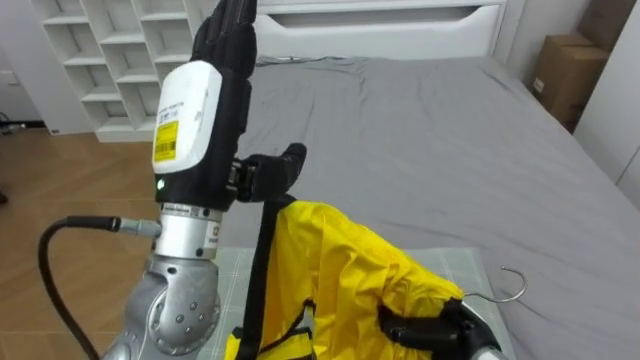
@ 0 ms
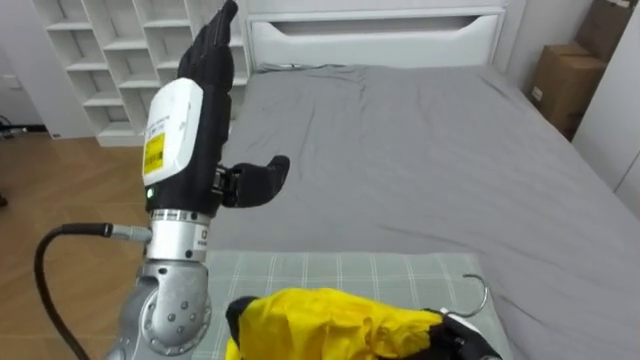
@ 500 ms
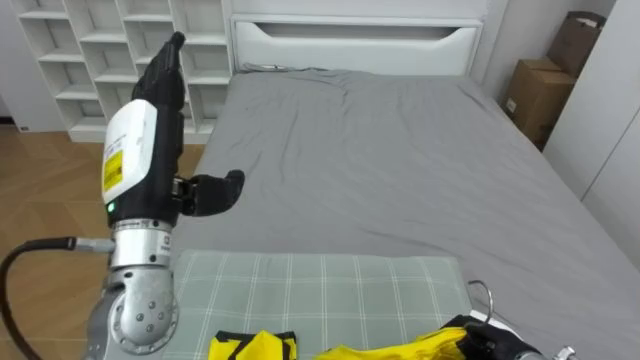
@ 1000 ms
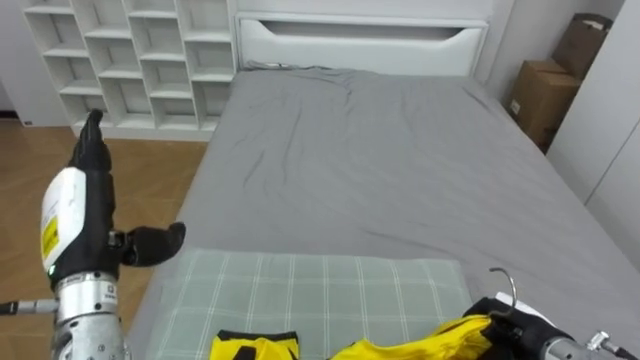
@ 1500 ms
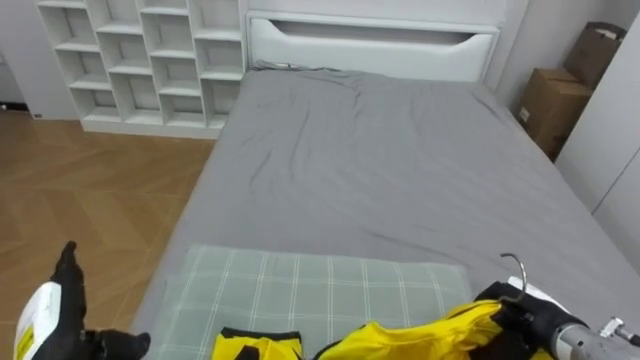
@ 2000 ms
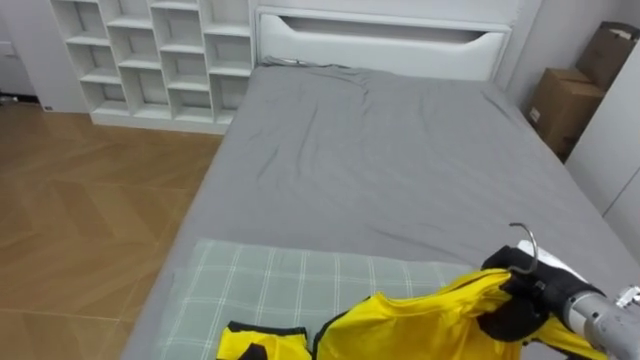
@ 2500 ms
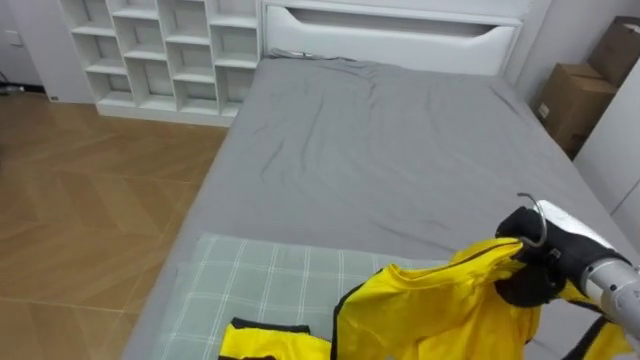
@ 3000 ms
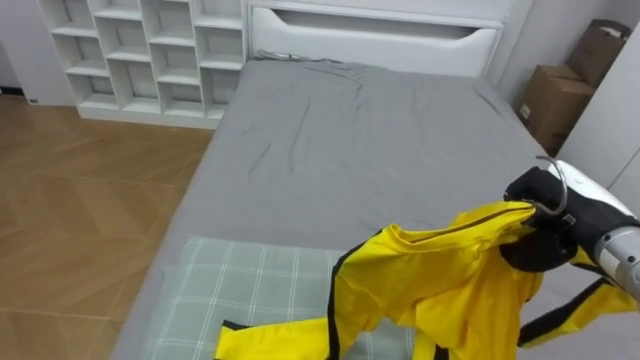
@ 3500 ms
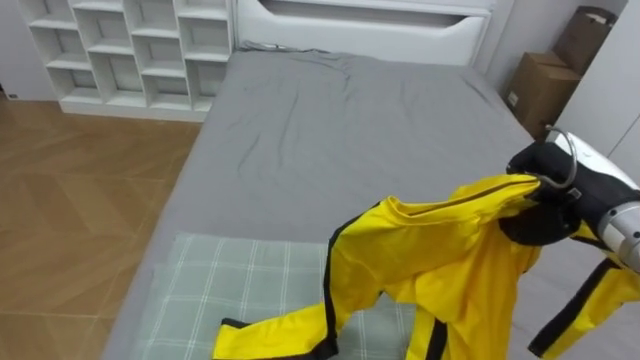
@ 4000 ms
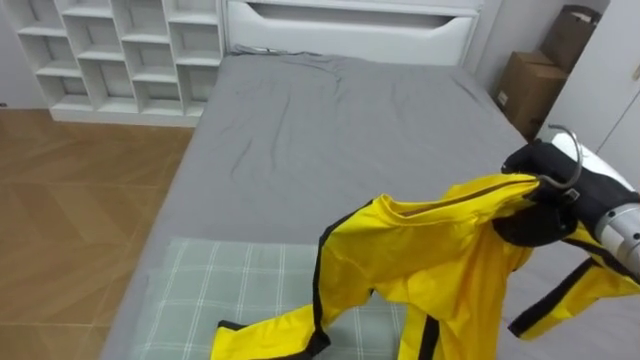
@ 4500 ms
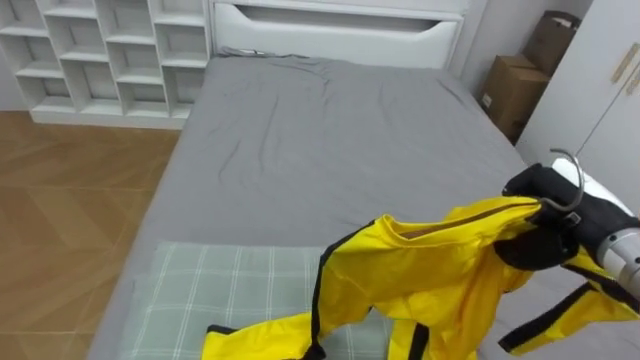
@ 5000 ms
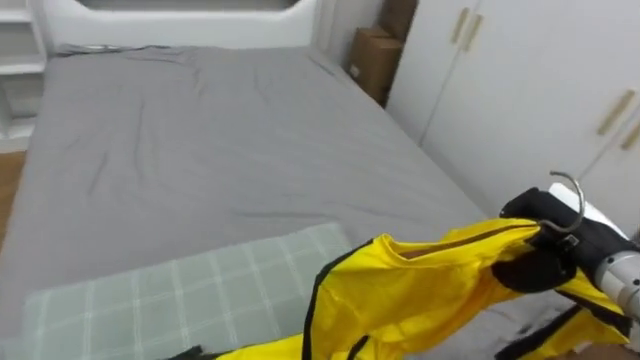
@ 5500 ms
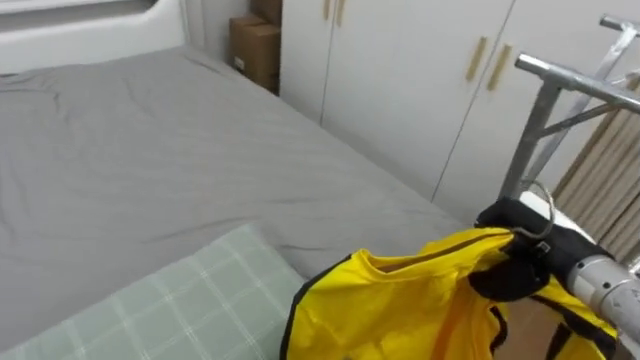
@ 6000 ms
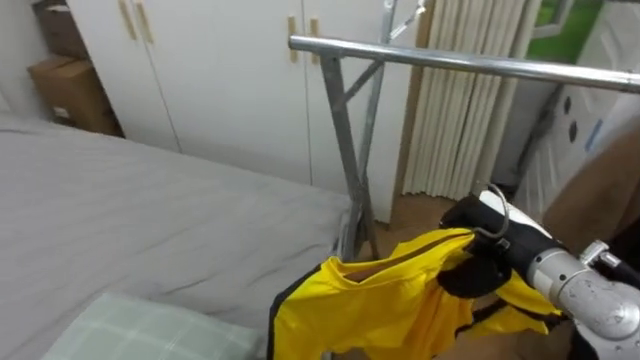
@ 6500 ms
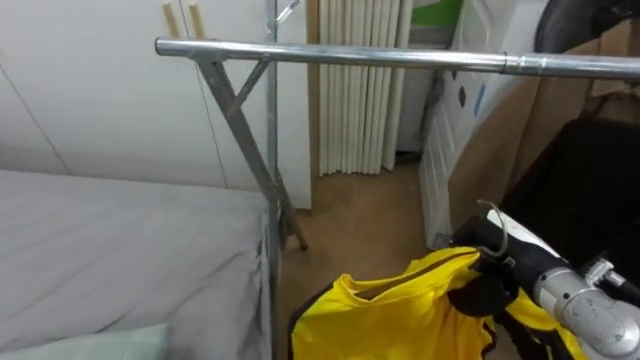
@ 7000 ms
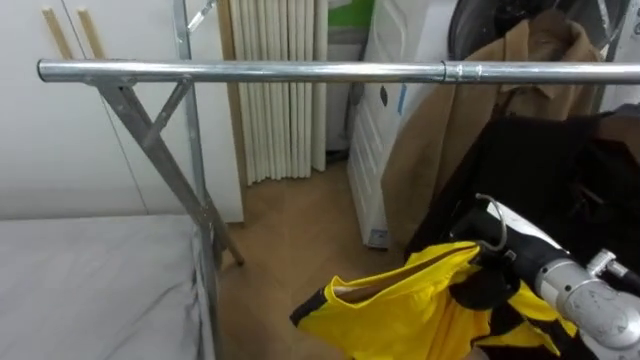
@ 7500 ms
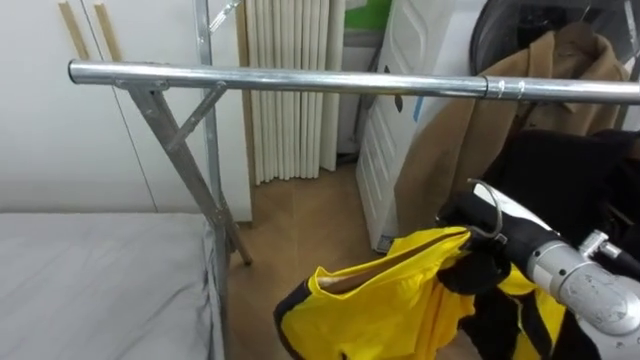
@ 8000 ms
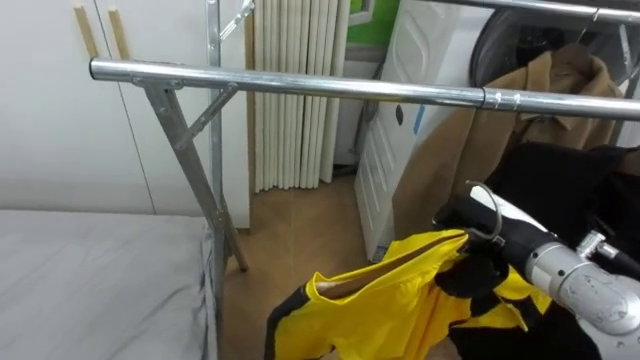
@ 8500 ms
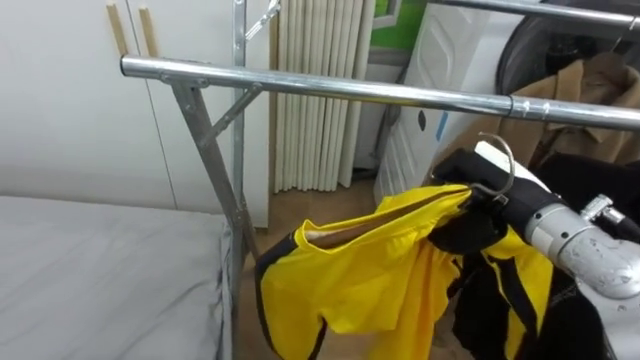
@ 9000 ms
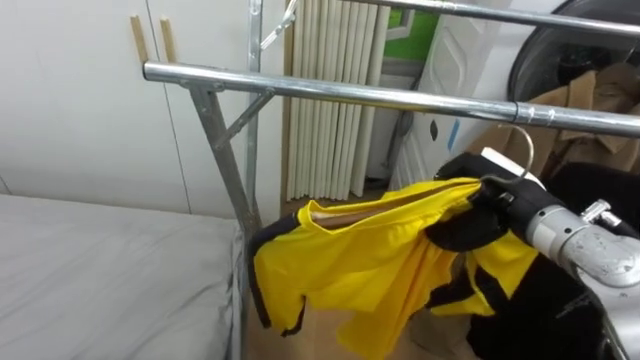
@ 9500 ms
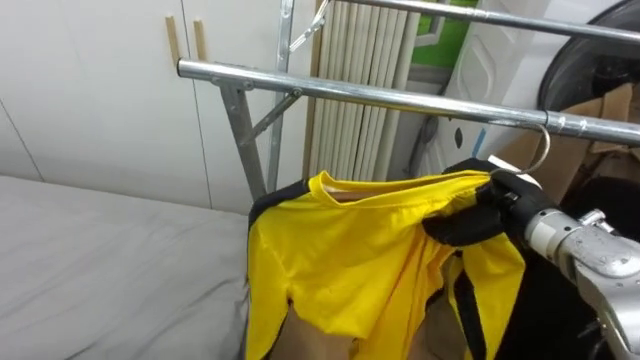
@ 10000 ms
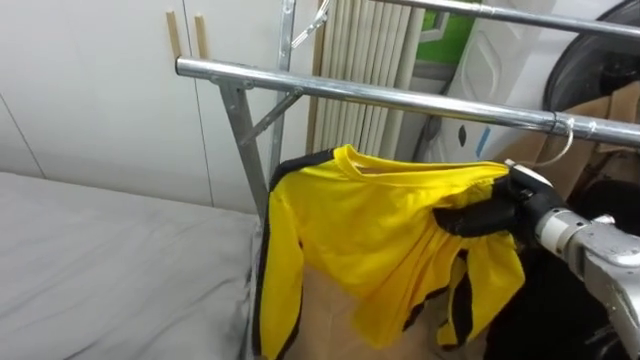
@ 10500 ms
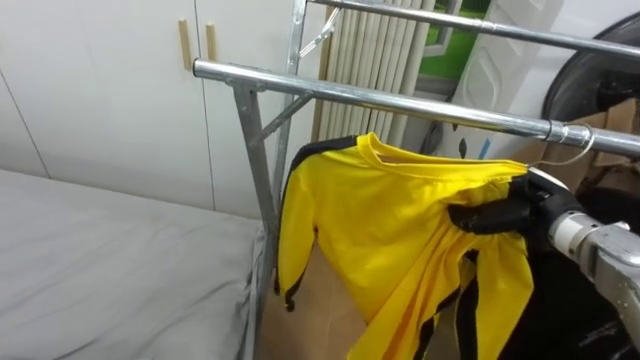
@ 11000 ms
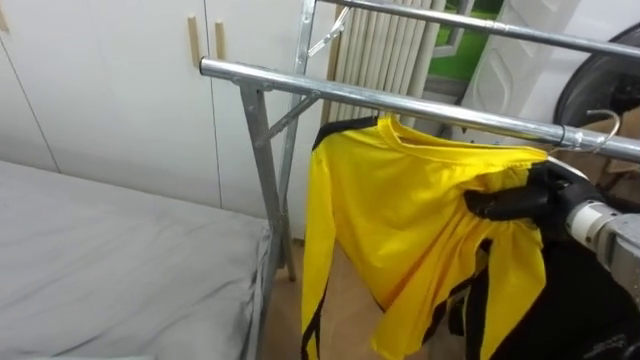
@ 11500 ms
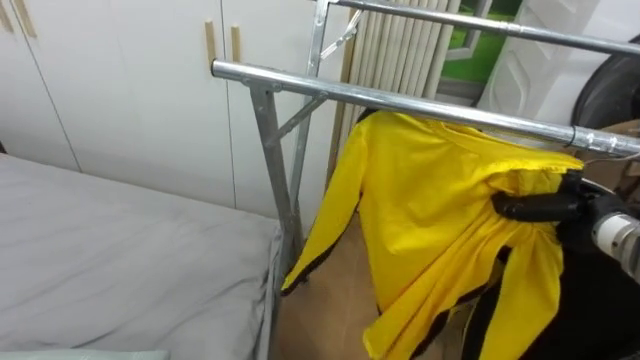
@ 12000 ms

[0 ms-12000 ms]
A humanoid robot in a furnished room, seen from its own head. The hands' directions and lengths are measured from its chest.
Task of the whole recording: Pick up the yellow shirt on the bed and hang it on the clothes rack on the right.
0 ms to 2000 ms: The left hand moves downward and to the left, approximately 30 cm. The right hand heads to the right, covering approximately 10 cm.
2000 ms to 4000 ms: The right hand travels upward by about 20 cm.
4000 ms to 6000 ms: The robot faces about 45 degrees further to its right. The right hand goes approximately 5 cm downward.
6000 ms to 8000 ms: The robot faces roughly 55 degrees further to its right.
10000 ms to 12000 ms: The right hand moves to the right, approximately 10 cm.

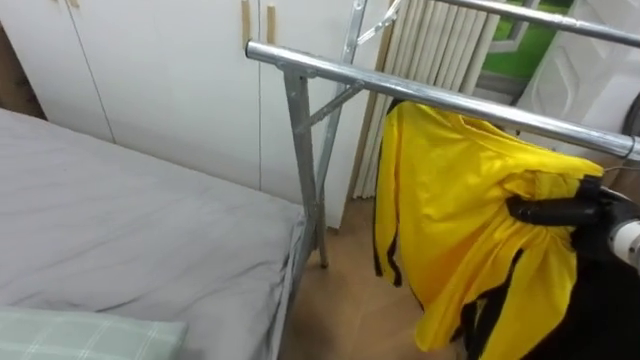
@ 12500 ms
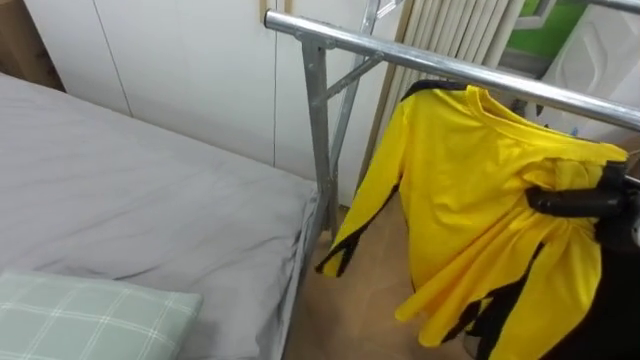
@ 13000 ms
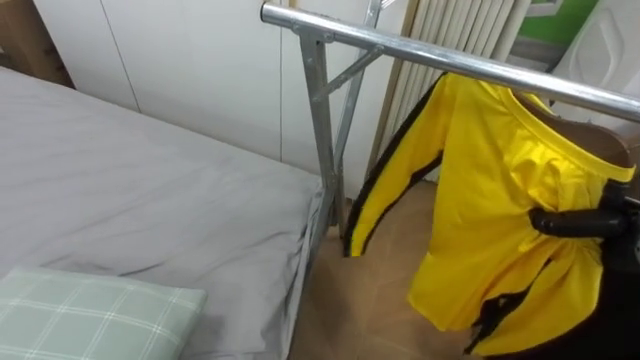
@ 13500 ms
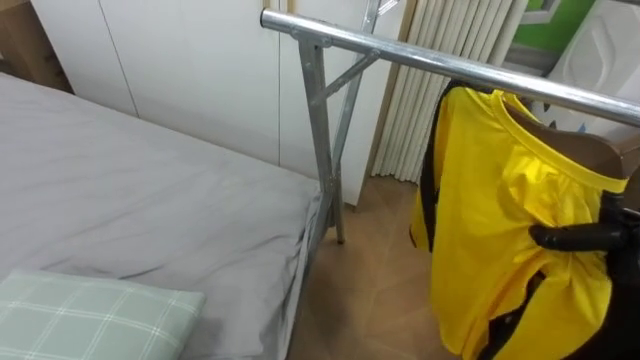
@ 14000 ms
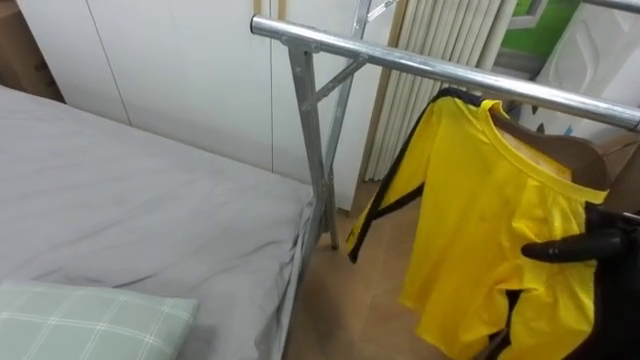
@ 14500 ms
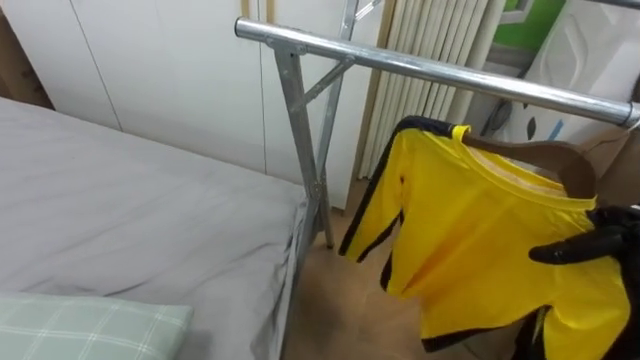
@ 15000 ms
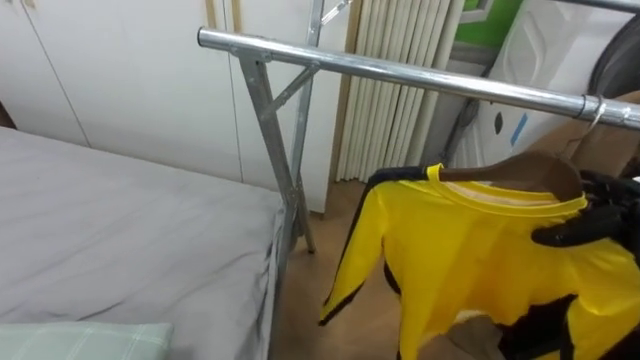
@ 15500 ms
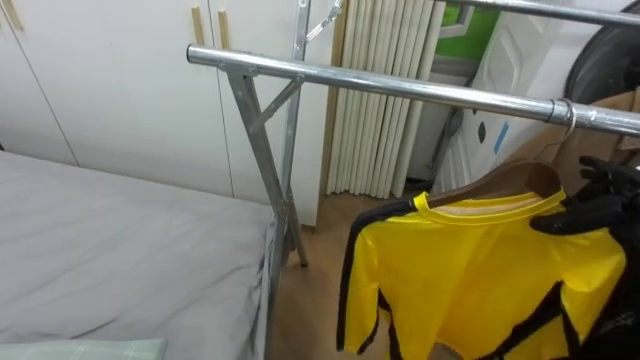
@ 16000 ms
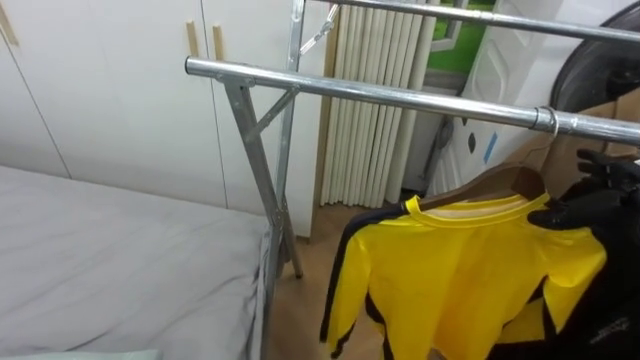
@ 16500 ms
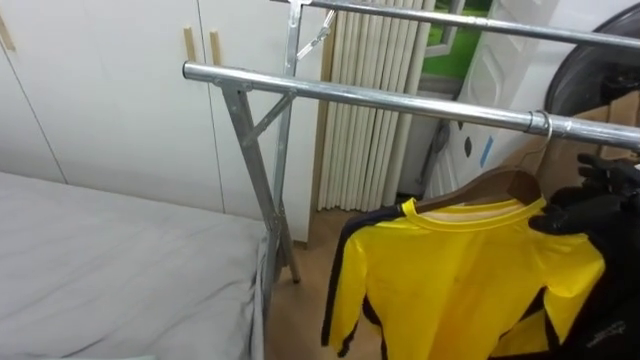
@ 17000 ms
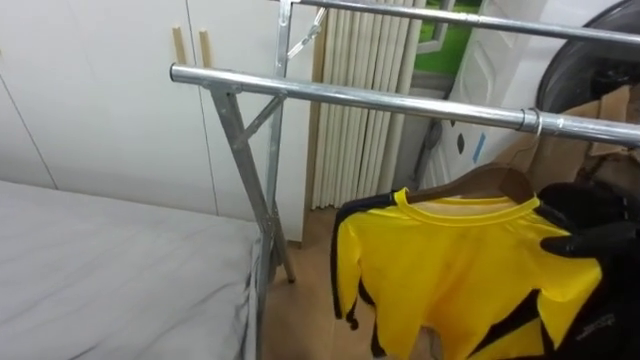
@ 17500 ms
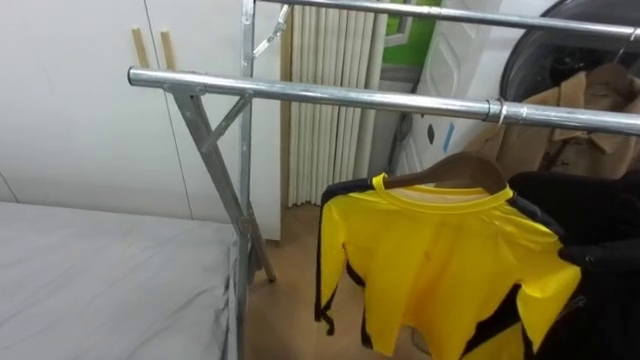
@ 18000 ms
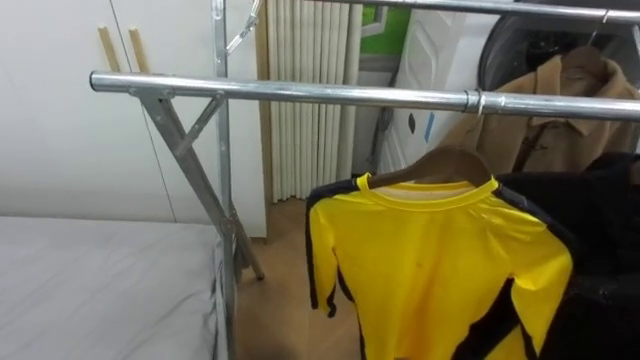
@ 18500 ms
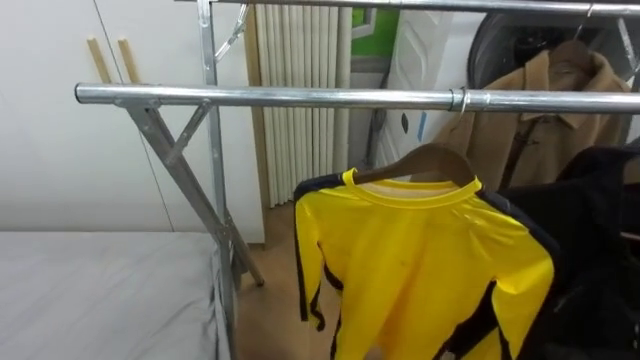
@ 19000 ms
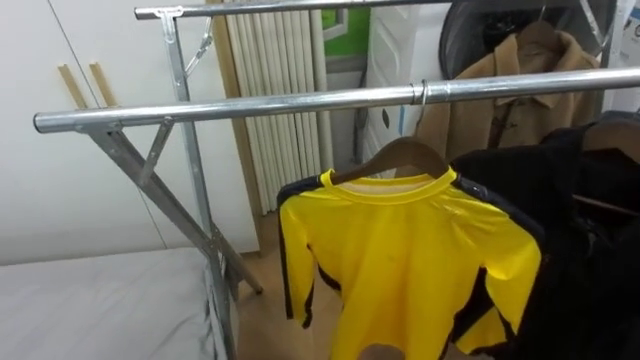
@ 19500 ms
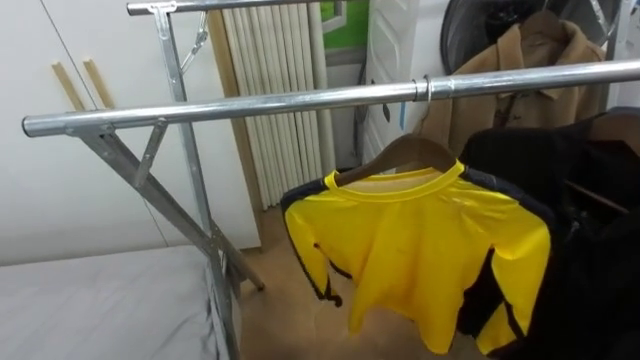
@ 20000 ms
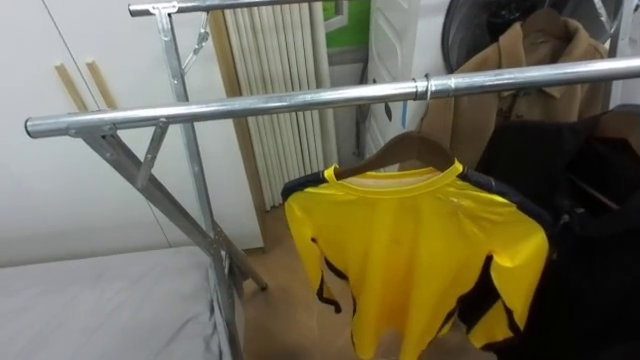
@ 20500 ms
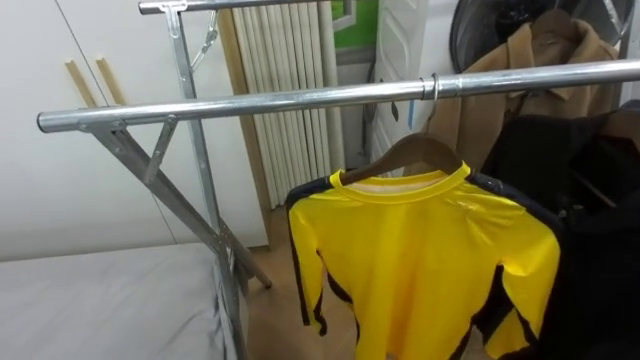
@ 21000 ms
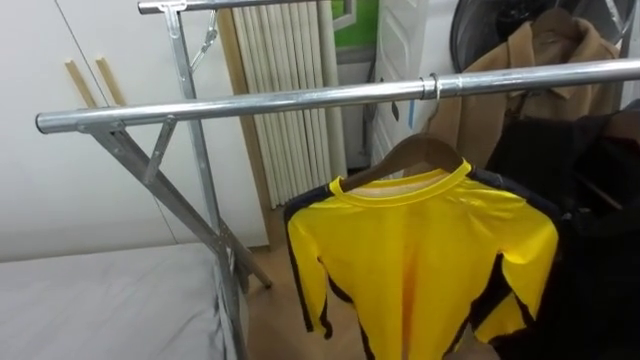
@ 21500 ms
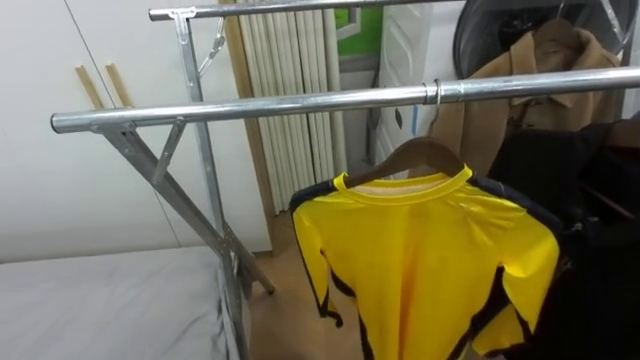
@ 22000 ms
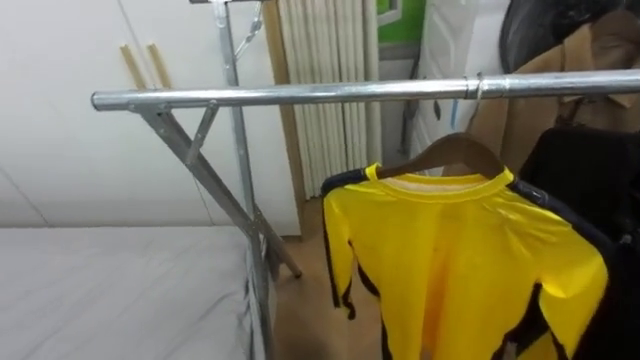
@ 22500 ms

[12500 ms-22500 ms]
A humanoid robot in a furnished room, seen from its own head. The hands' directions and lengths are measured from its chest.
Task of the whole recording: Pick up the yellow shirt on the bed and hang it on the clothes rack on the right.
12500 ms to 14500 ms: The right hand shifts by about 5 cm, and opens.
14500 ms to 16500 ms: The right hand moves upward, about 5 cm, and opens.
